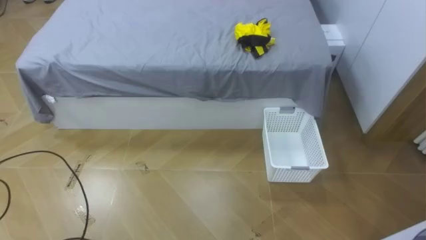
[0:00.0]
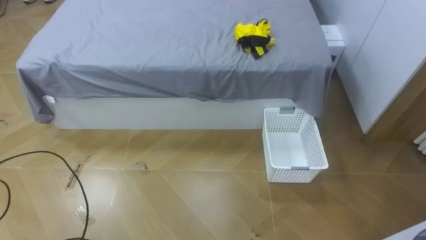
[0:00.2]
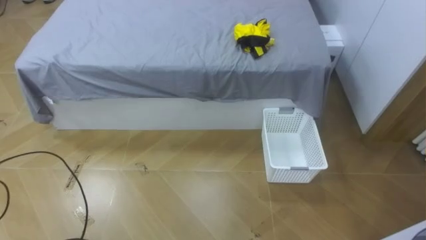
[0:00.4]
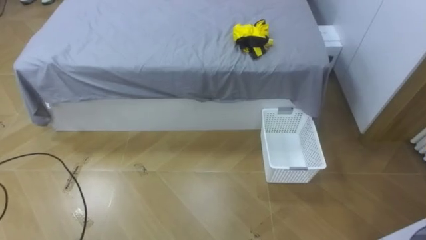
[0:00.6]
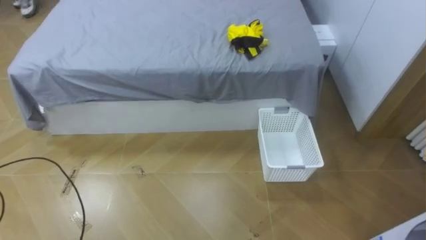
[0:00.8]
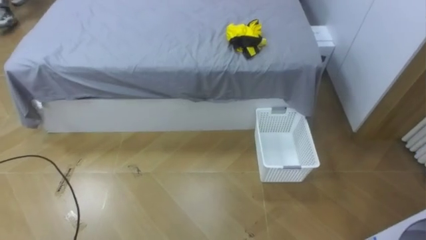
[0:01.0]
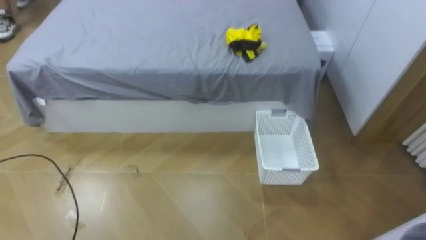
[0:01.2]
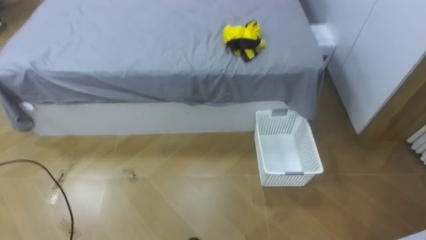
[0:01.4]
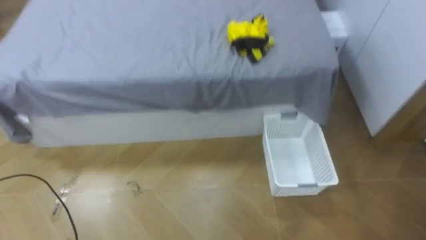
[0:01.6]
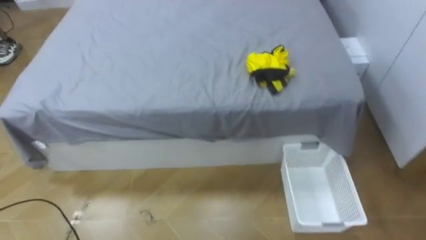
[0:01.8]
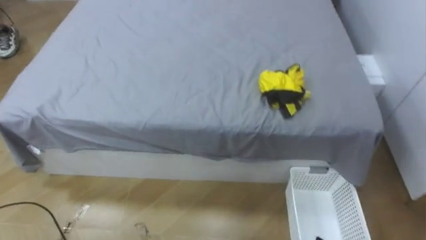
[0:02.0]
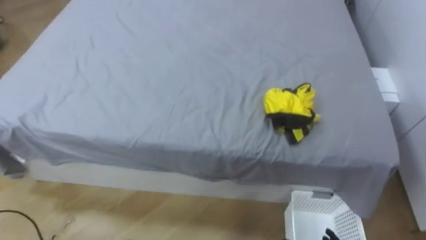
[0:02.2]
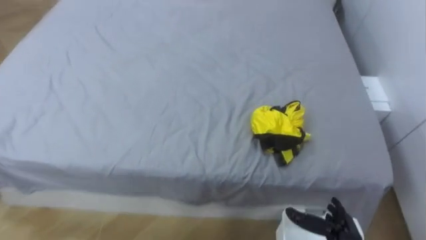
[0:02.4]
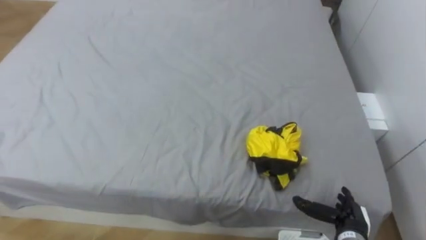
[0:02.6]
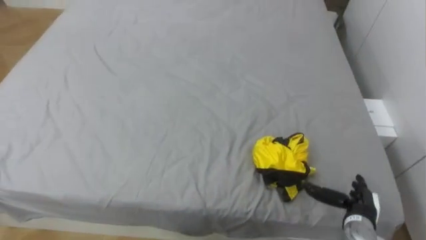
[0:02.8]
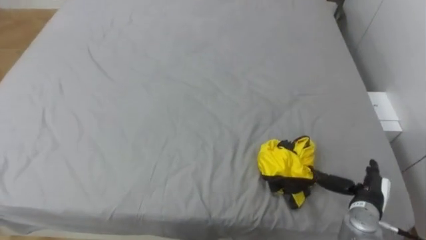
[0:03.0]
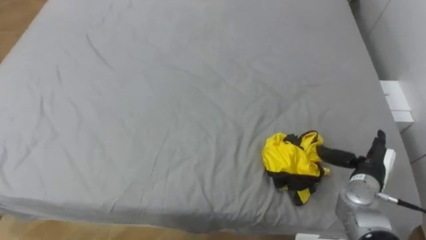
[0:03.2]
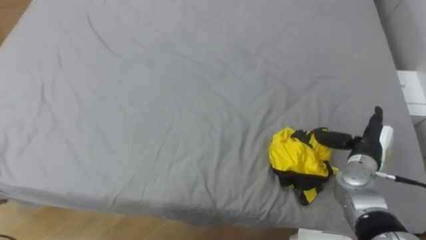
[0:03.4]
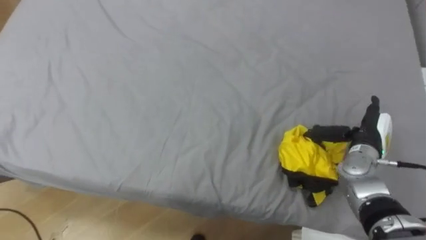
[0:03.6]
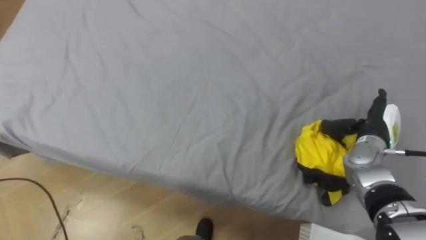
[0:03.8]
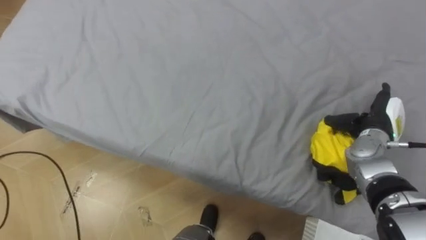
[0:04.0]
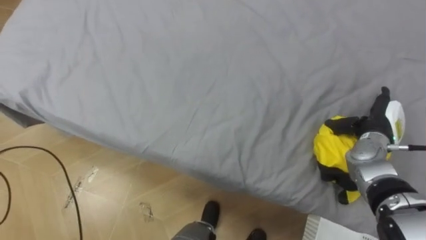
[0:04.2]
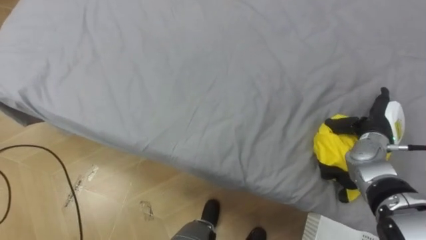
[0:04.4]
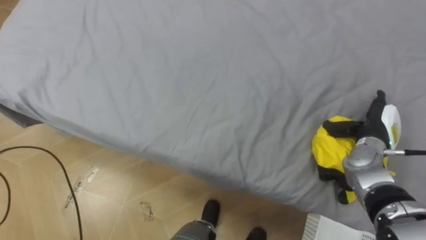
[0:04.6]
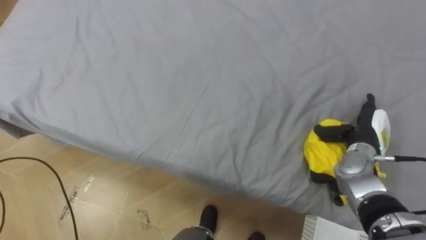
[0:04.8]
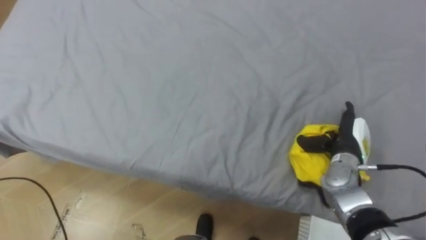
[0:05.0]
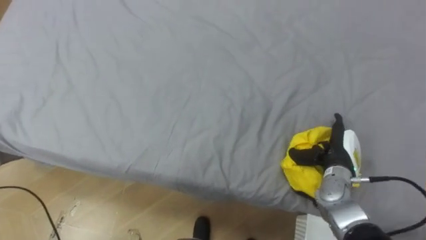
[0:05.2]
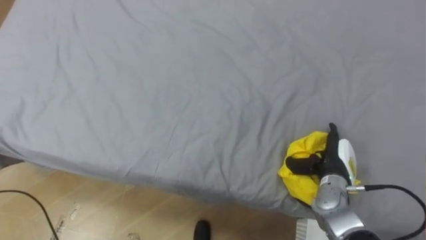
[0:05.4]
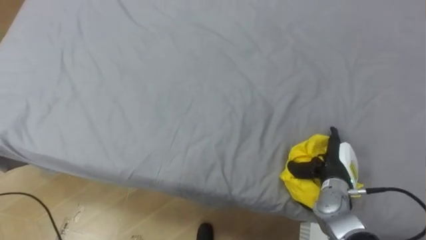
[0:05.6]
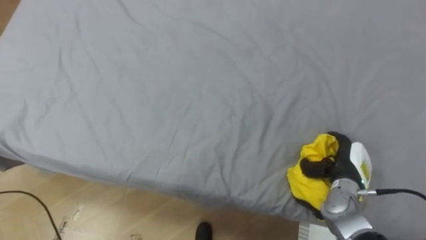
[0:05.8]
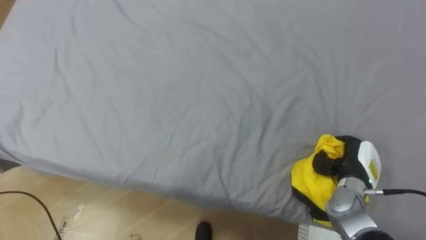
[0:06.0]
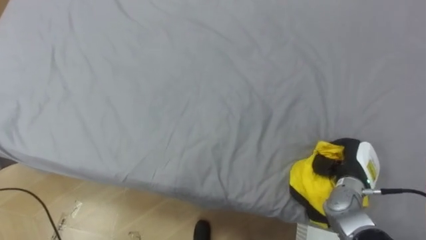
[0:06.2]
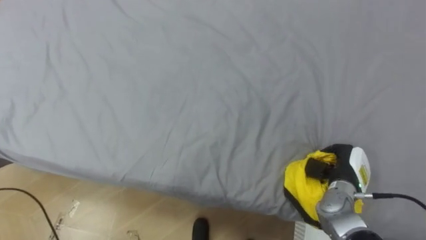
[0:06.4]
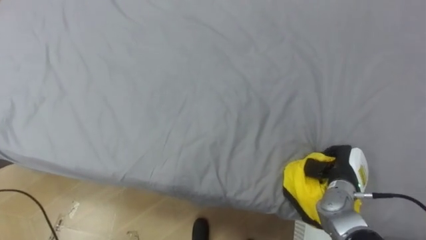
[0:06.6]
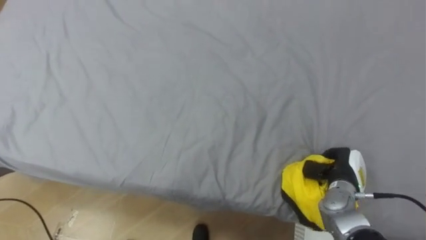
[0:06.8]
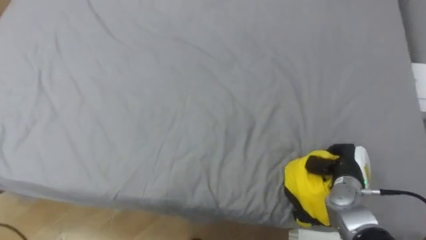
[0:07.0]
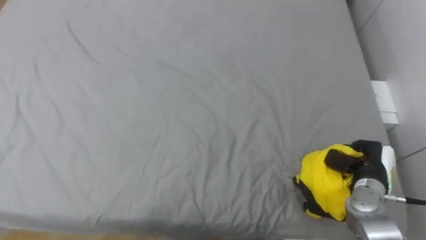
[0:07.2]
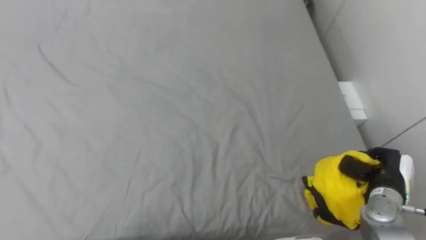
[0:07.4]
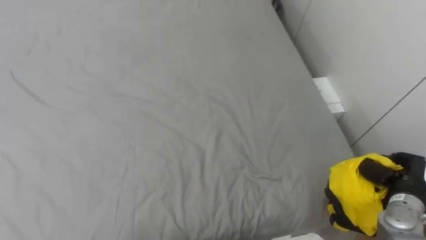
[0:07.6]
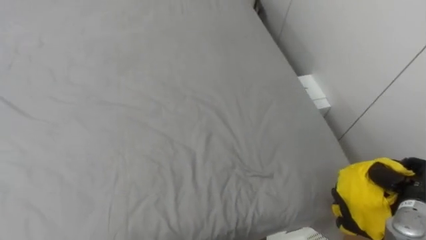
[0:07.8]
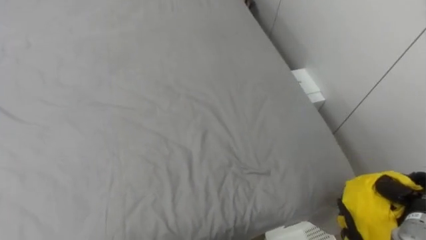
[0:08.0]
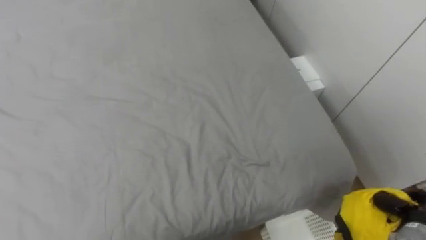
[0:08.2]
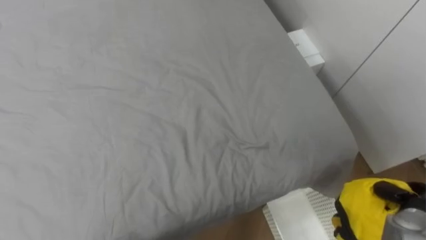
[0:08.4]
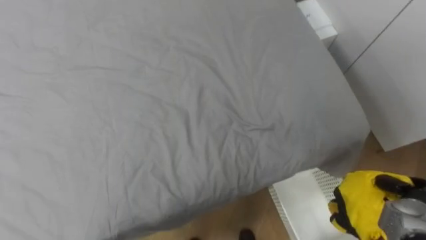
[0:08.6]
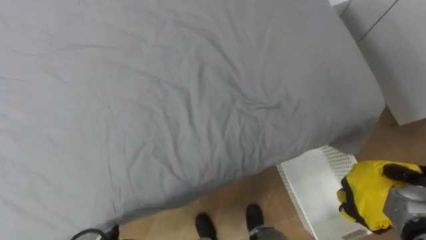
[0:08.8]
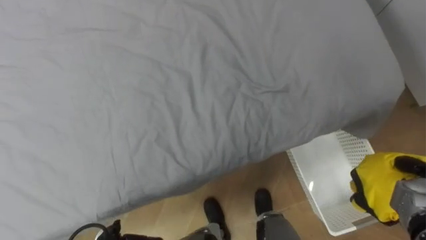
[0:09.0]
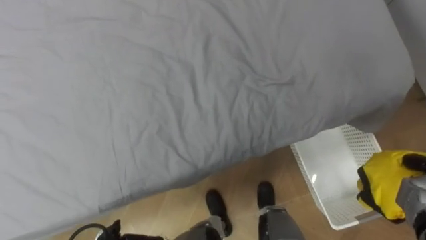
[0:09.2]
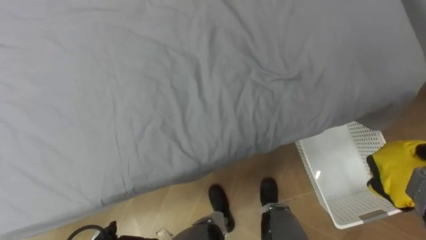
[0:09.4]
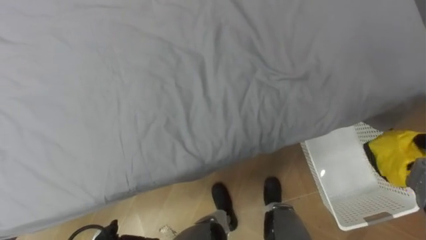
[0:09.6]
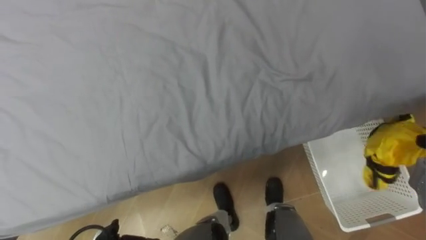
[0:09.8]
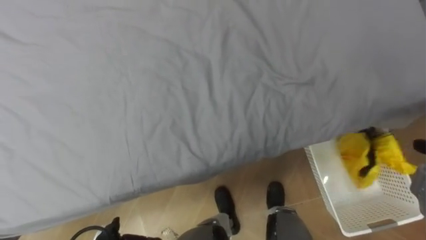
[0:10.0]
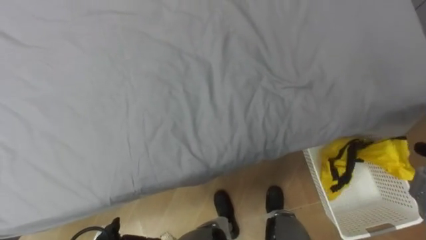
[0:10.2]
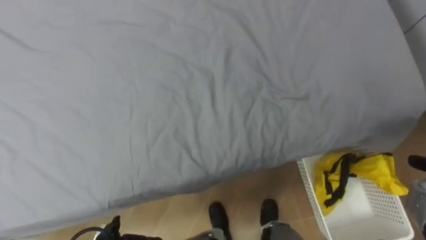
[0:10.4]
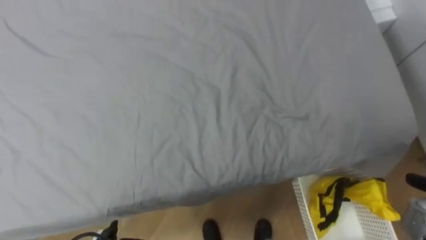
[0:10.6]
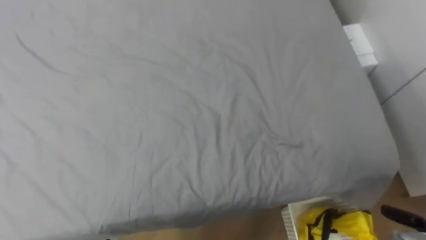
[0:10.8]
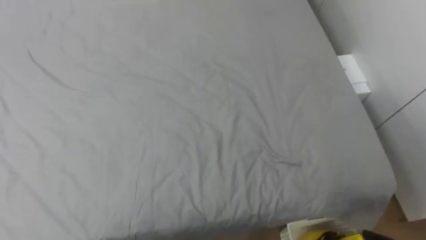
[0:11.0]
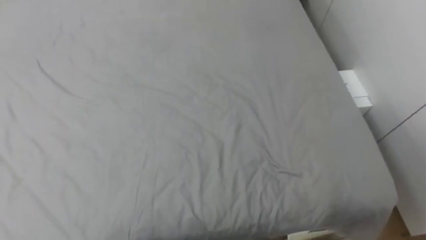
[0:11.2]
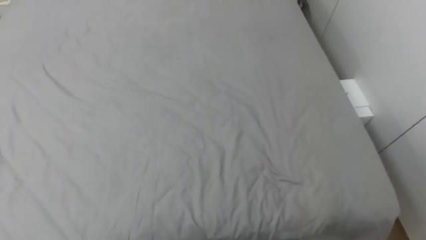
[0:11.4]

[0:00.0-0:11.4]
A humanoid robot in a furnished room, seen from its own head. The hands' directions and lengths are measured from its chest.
Task of the whole recording: Pick up the yellow clothes on the bed and place them into the white basket on the right.
0:02.8 to 0:04.2: The right hand moves forward and upward, roughly 20 cm.
0:04.2 to 0:05.6: The right hand travels downward, to the left and backward by some 15 cm.
0:05.6 to 0:07.2: The right hand goes some 5 cm to the right, and closes.
0:07.2 to 0:08.6: The right hand moves to the right and backward, approximately 10 cm.

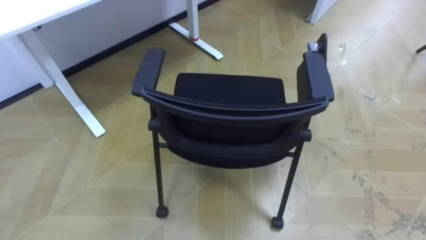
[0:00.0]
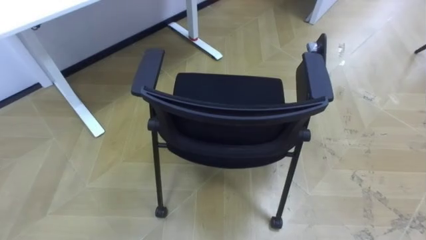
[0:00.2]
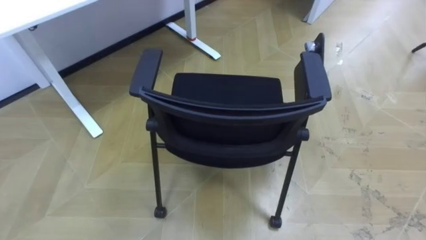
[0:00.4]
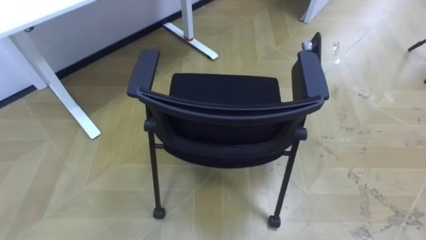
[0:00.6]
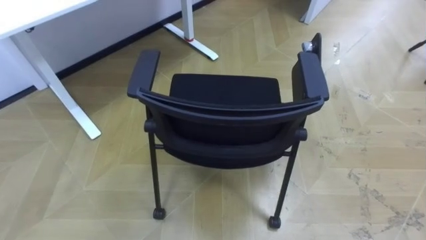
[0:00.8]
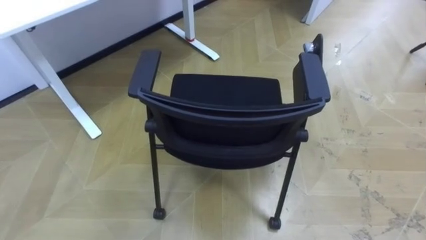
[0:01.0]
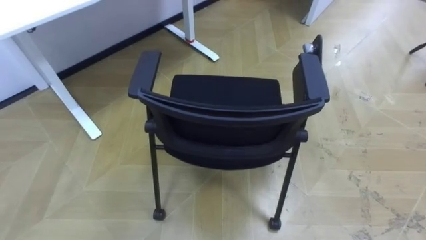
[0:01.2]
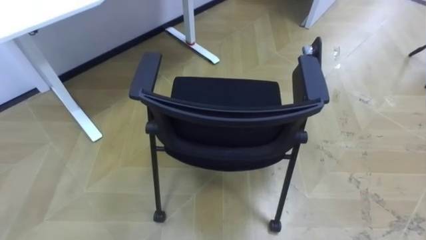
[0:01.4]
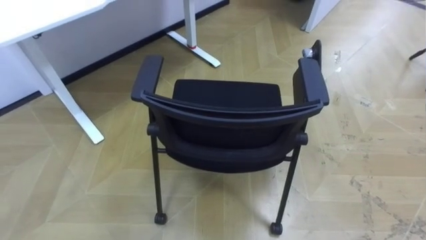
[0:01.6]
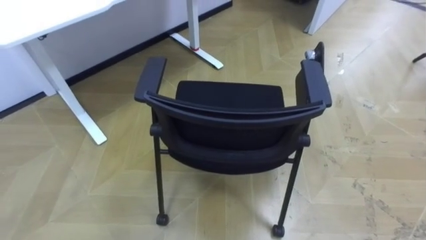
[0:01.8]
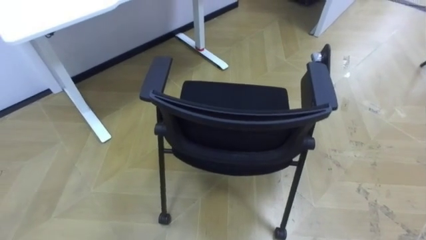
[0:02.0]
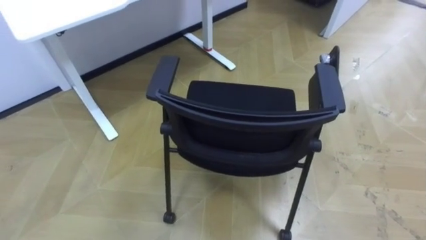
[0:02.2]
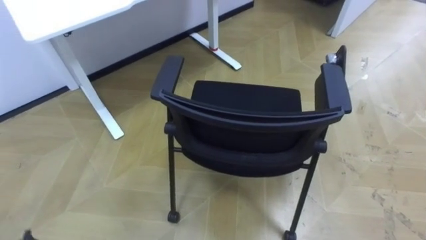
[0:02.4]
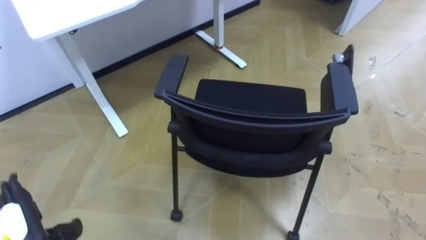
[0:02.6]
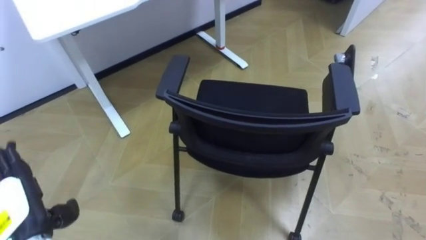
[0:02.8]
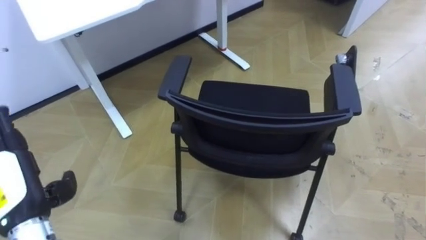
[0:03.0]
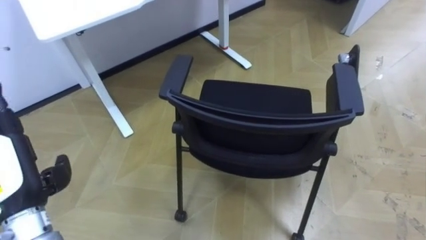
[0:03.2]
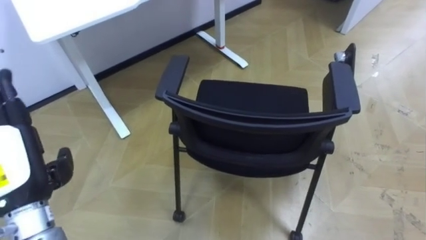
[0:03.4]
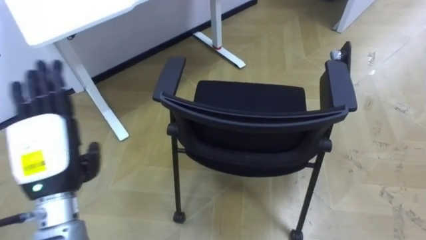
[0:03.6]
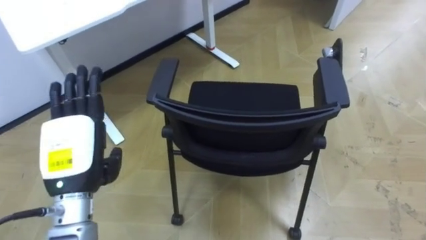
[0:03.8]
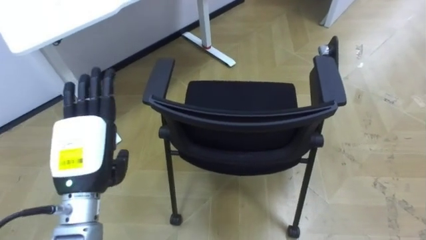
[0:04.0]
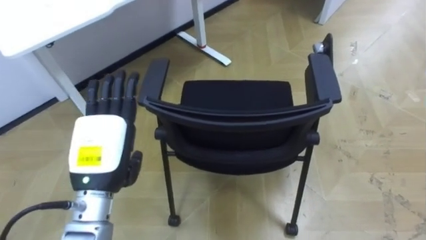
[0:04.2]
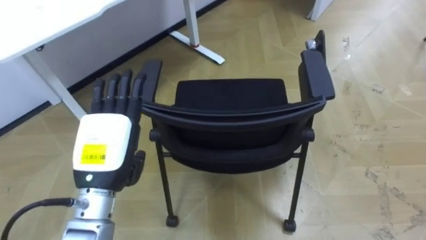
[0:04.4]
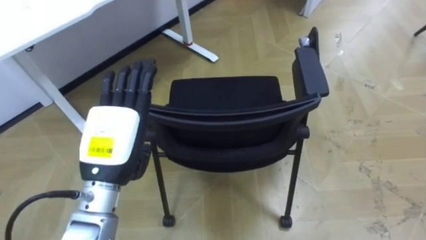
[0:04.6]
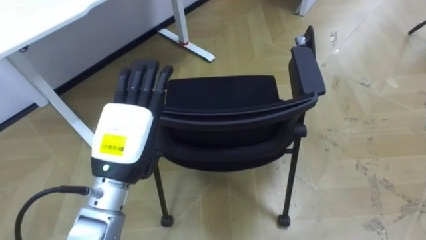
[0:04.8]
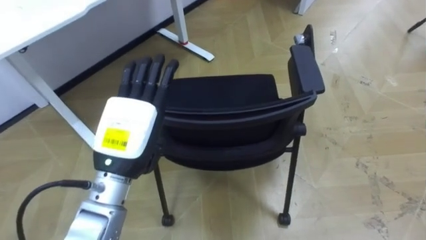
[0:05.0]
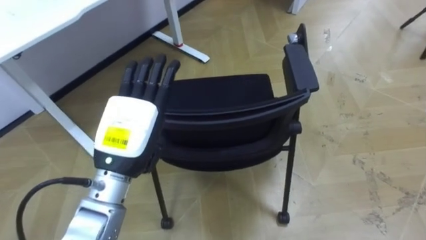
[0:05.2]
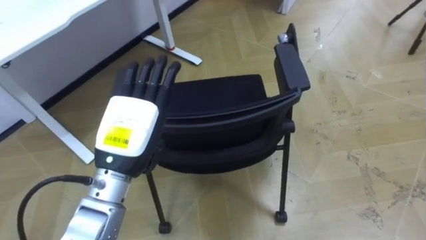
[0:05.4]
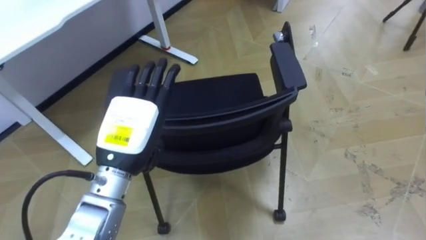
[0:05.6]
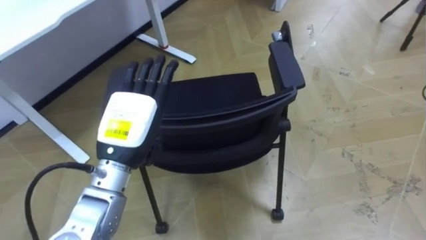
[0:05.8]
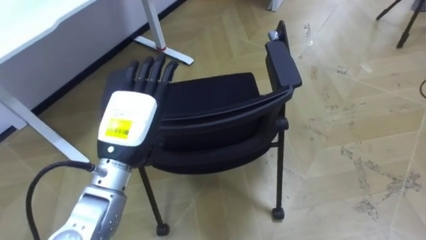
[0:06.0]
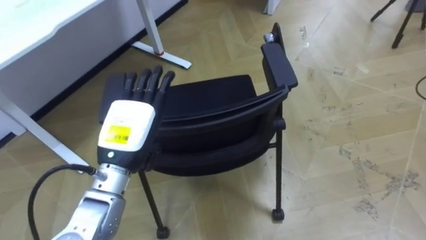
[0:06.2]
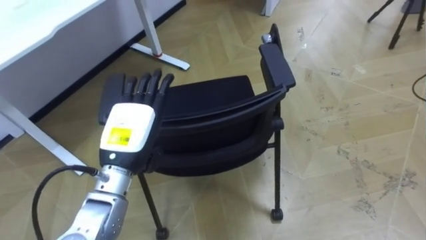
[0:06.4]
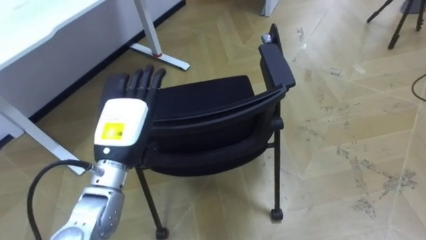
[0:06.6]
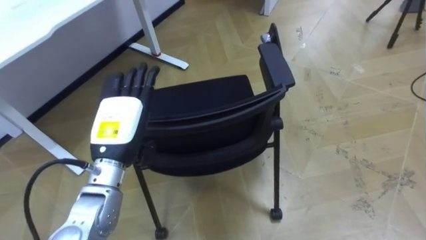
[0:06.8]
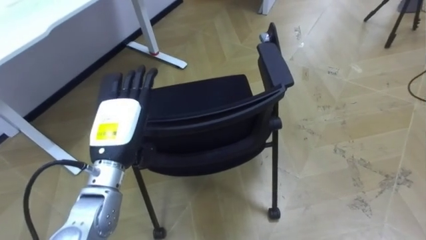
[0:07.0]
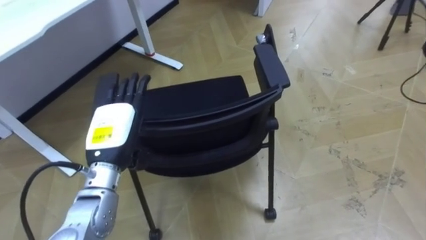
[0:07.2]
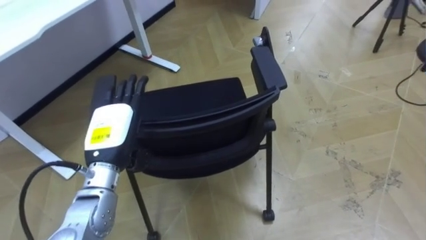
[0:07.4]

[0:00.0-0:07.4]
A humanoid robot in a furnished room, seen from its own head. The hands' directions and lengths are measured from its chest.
Task of the whole recording: Push the chair under the table.
0:03.0 to 0:04.4: The left hand moves to the right, approximately 15 cm.
0:04.4 to 0:06.0: The left hand moves some 5 cm.
0:06.0 to 0:07.4: The left hand shifts by roughly 5 cm.
